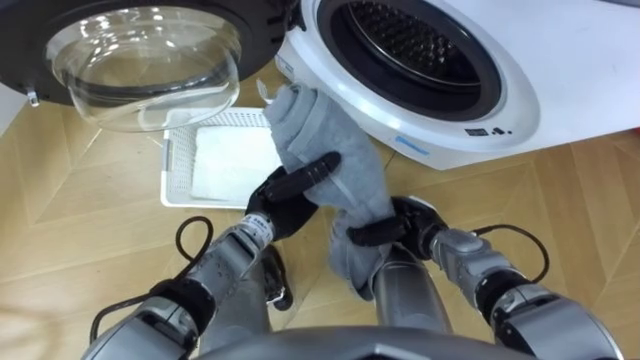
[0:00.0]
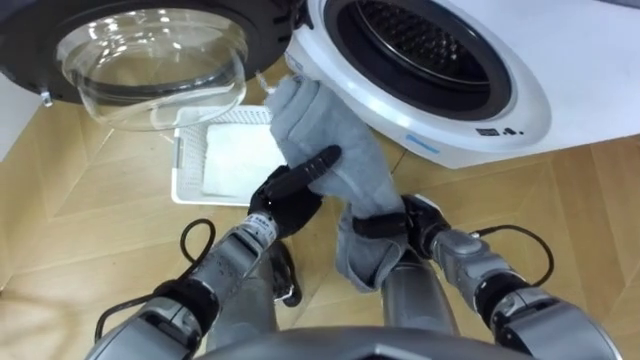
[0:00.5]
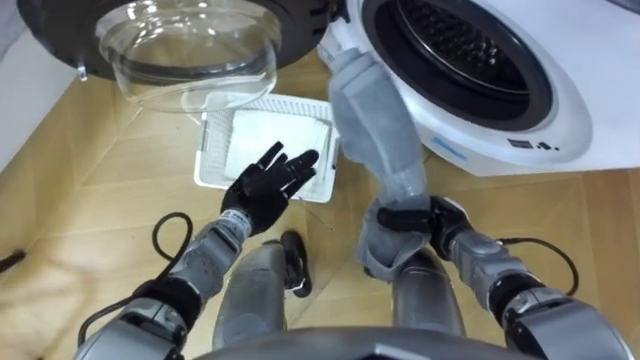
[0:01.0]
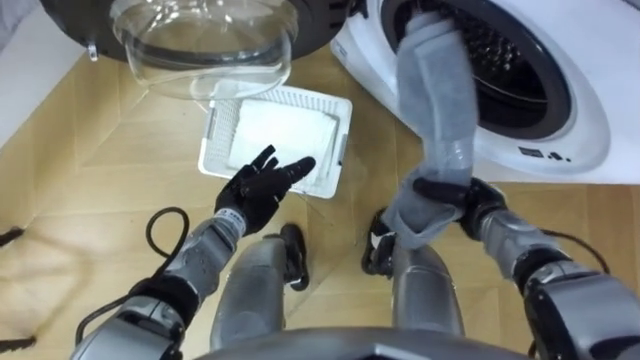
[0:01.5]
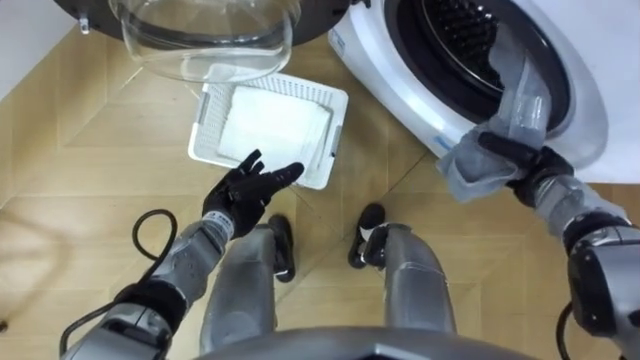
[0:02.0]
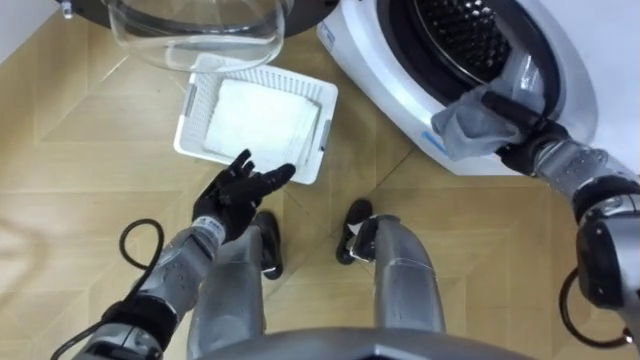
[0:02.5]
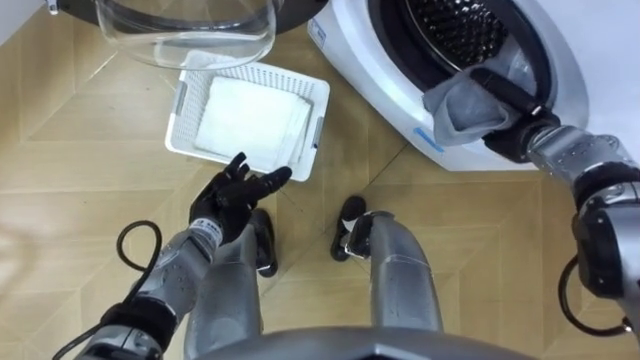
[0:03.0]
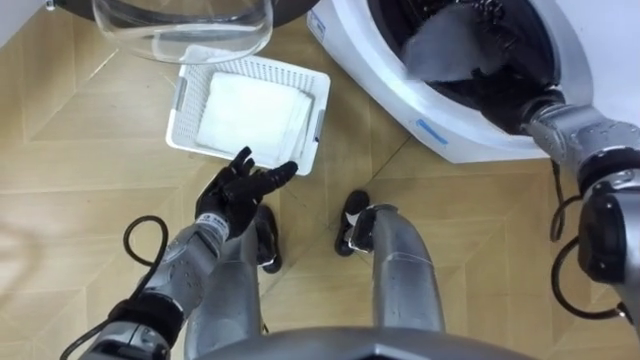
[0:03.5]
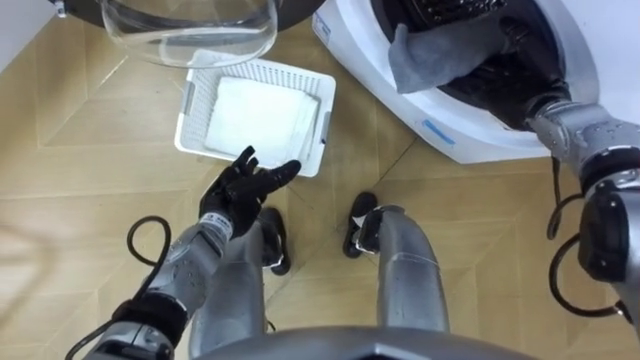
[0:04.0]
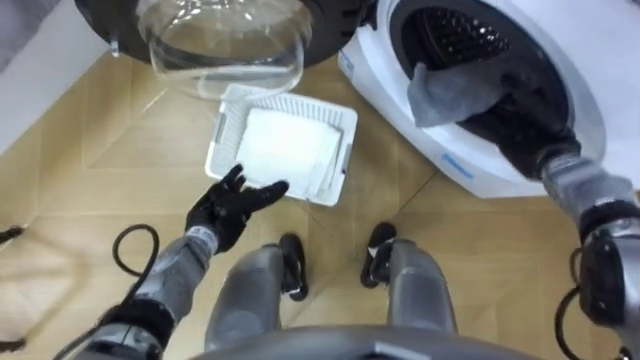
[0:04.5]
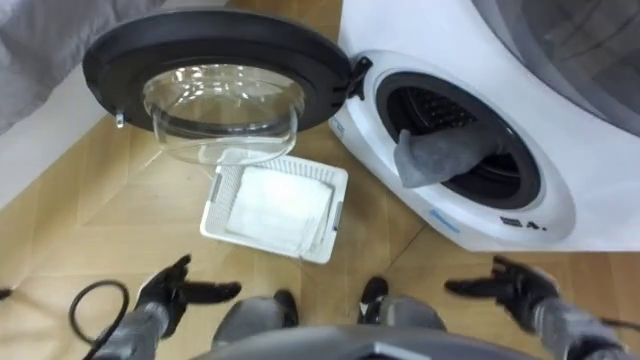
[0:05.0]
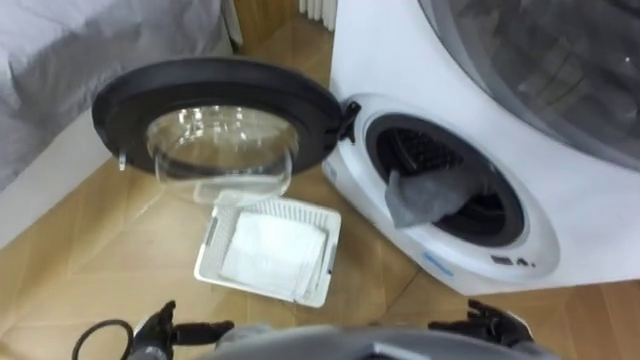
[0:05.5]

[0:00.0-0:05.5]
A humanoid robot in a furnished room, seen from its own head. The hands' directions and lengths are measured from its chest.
Task of the whole recording: Take the towel from the basket and put it into the washing machine.
0:00.0 to 0:02.0: The right hand goes about 20 cm to the right; the left hand heads to the left, covering approximately 10 cm, and opens.
0:02.0 to 0:03.5: The right hand moves forward and upward, about 10 cm, and opens up.
0:03.5 to 0:05.5: The left hand shifts roughly 25 cm backward, to the left and downward. Meanwhile the right hand travels backward and downward by some 35 cm.

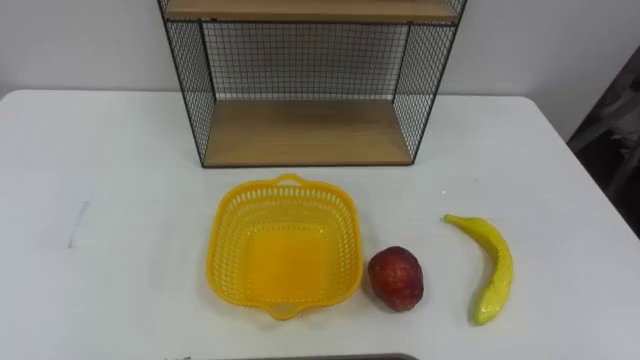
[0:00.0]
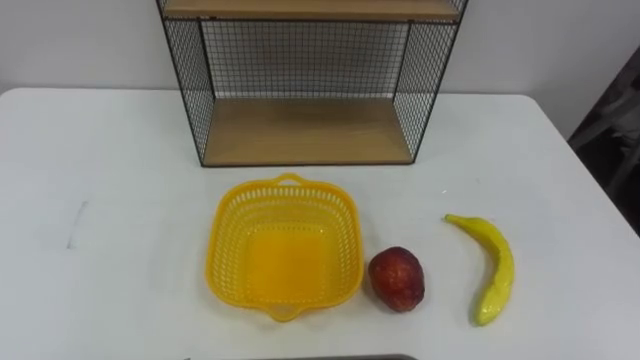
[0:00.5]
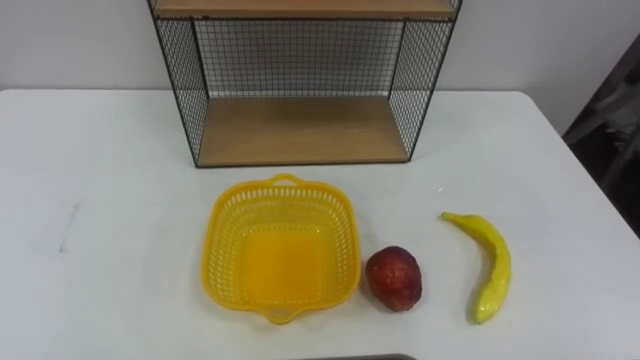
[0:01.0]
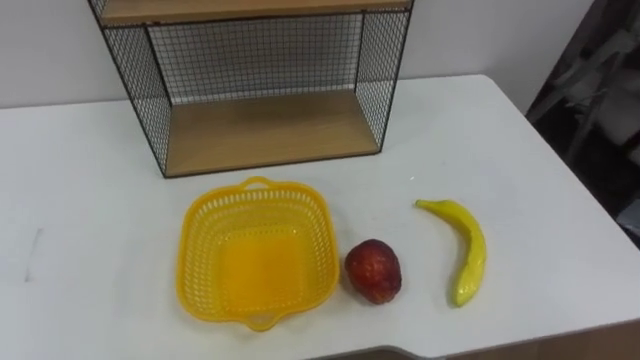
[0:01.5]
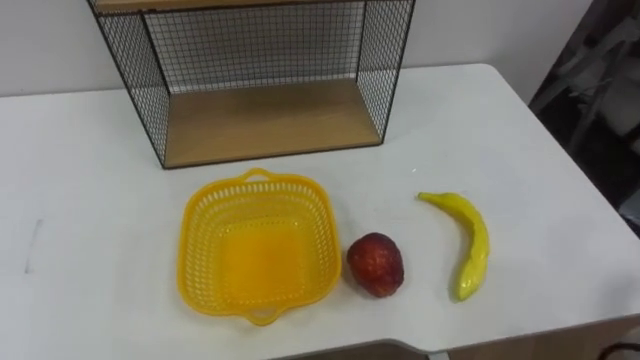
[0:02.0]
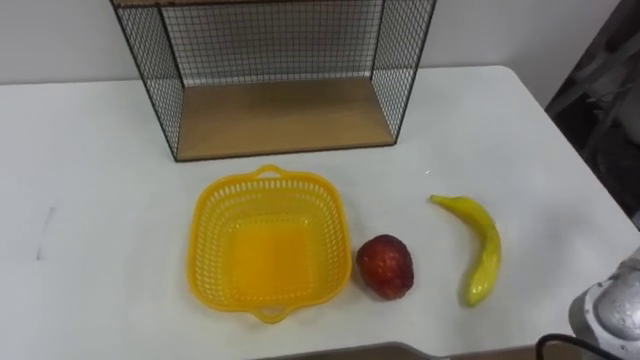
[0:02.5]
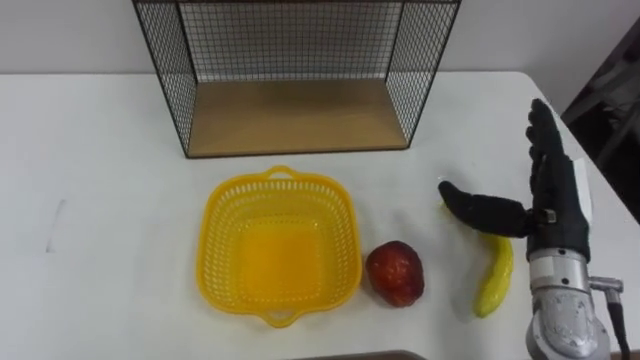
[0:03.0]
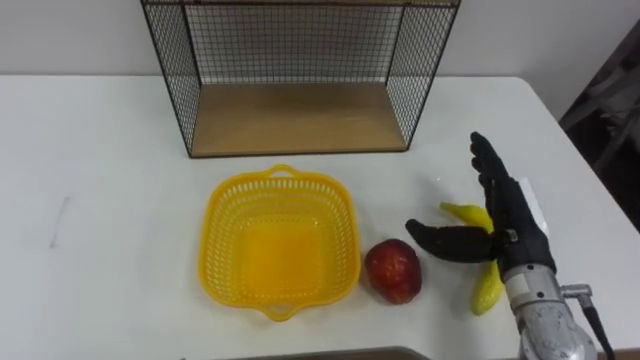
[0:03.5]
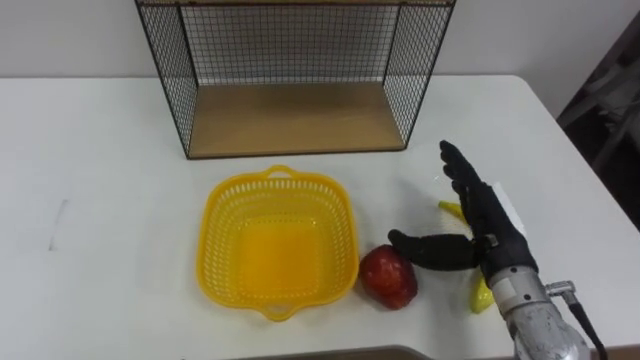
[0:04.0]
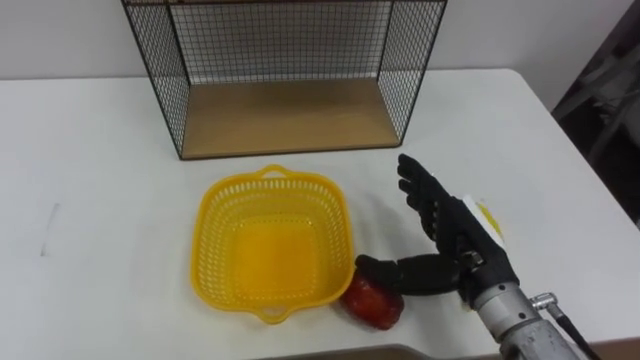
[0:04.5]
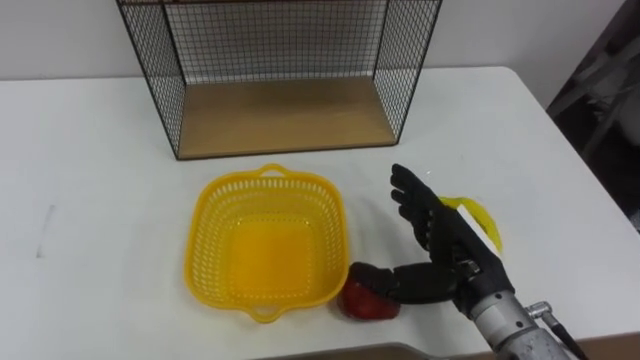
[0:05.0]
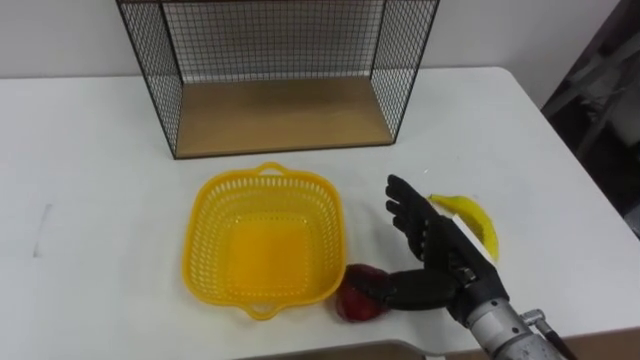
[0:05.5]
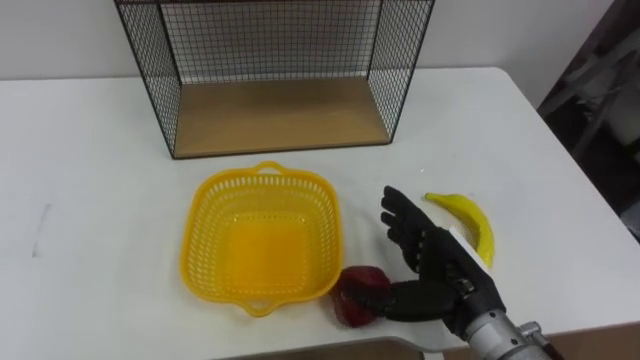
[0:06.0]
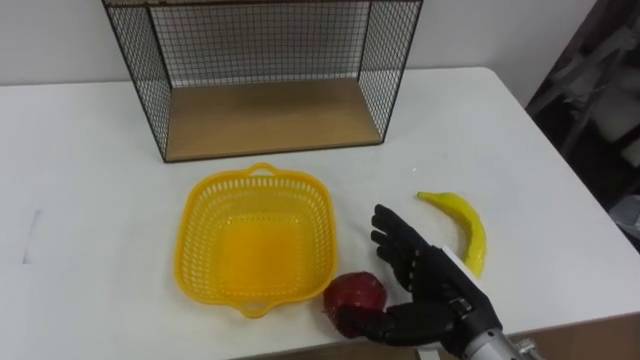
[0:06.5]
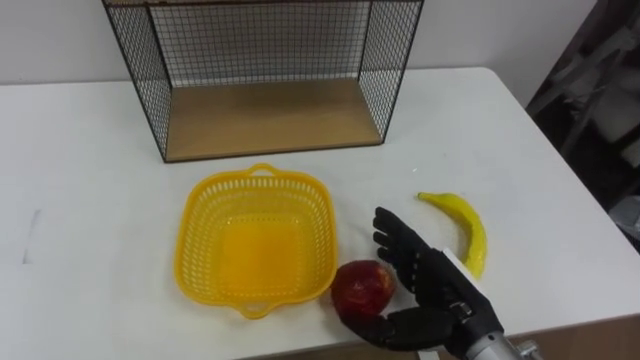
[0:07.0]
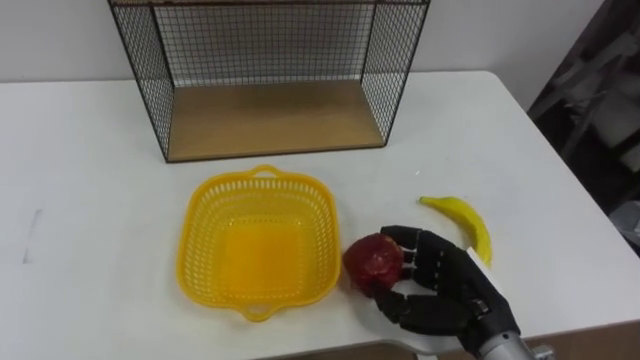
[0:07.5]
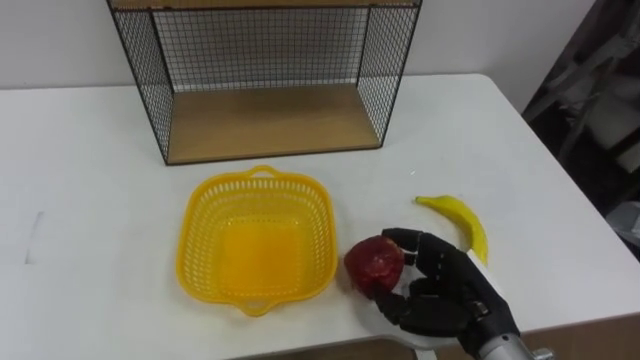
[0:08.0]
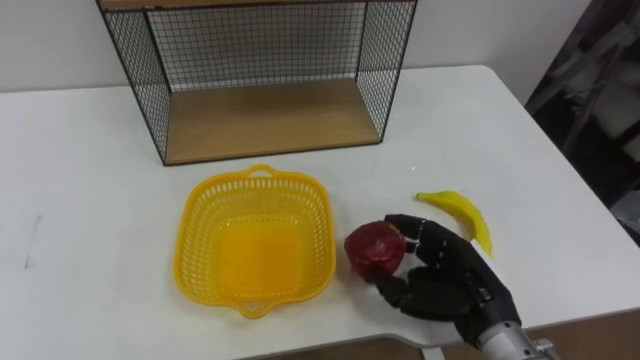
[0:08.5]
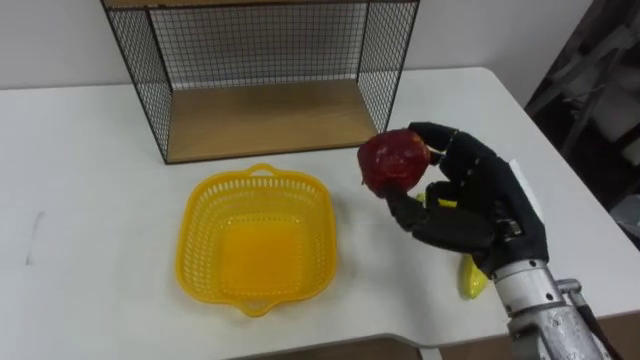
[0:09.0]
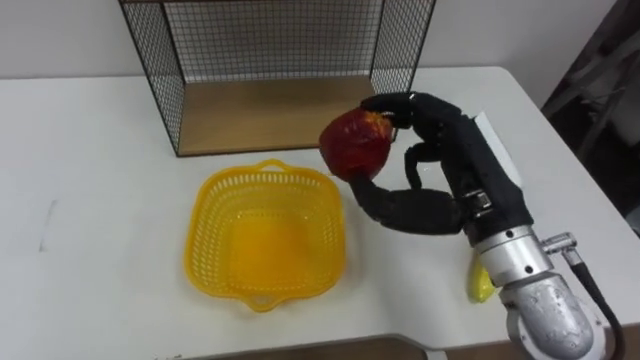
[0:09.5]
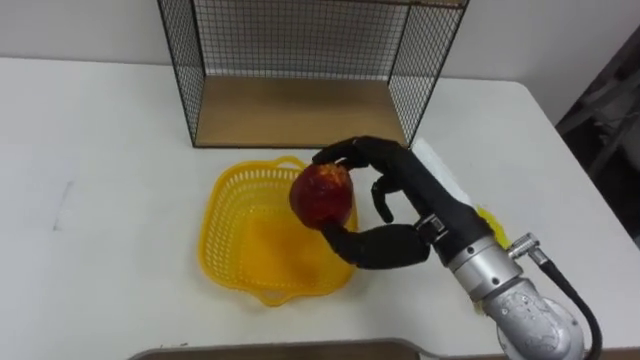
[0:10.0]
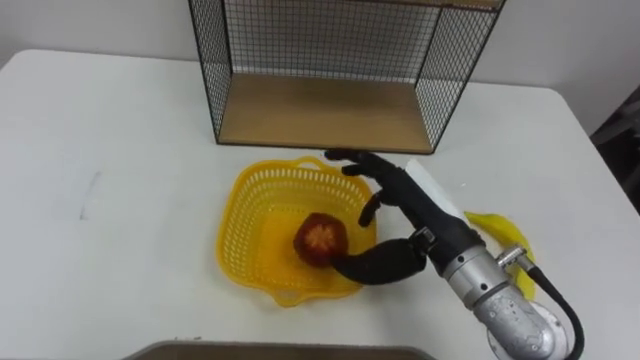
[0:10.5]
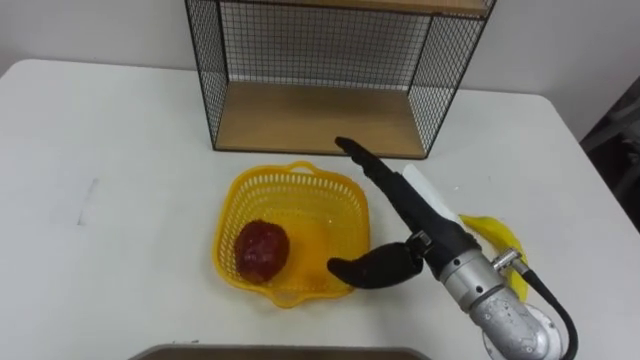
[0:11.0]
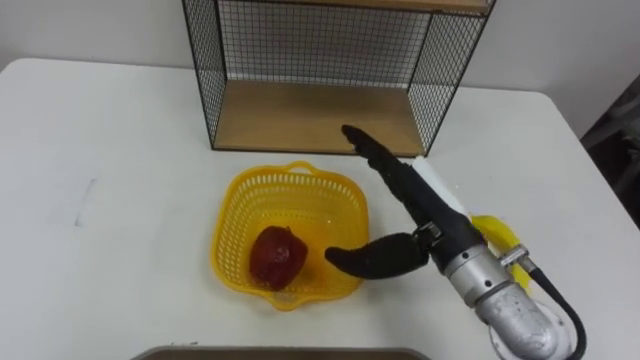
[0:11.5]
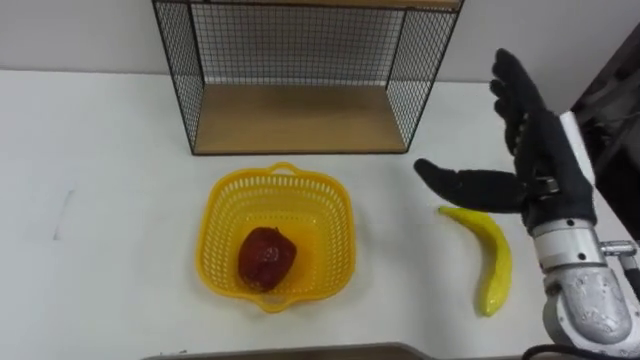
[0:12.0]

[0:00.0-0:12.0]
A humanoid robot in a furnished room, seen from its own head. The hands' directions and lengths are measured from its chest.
Task of the whole recording: Put the fruit on the table into the basket, then place the basket on the shelf.
0:04.0 to 0:06.0: The right hand shifts by approximately 5 cm.
0:06.0 to 0:08.0: The right hand closes.
0:08.0 to 0:10.0: The right hand shifts some 15 cm upward and to the left.
0:10.0 to 0:12.0: The right hand shifts about 10 cm to the right, and opens its fingers.

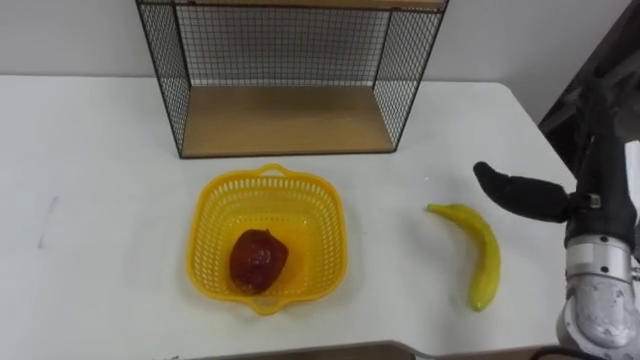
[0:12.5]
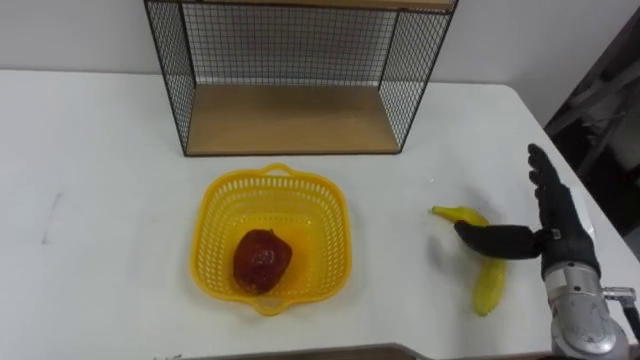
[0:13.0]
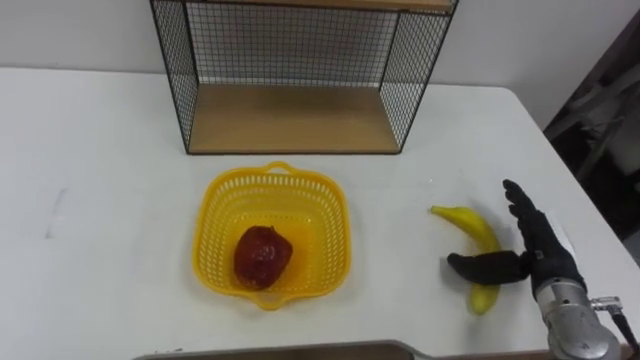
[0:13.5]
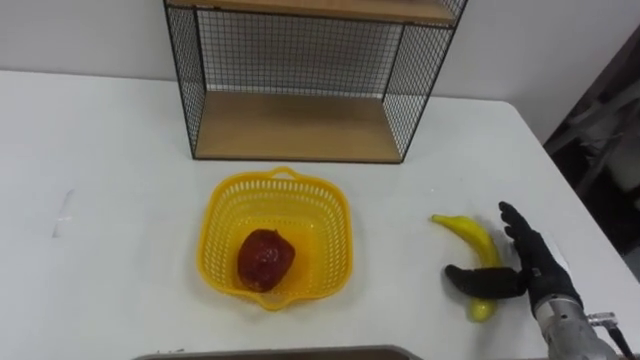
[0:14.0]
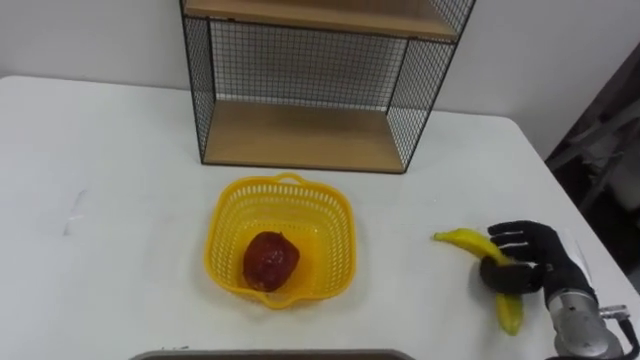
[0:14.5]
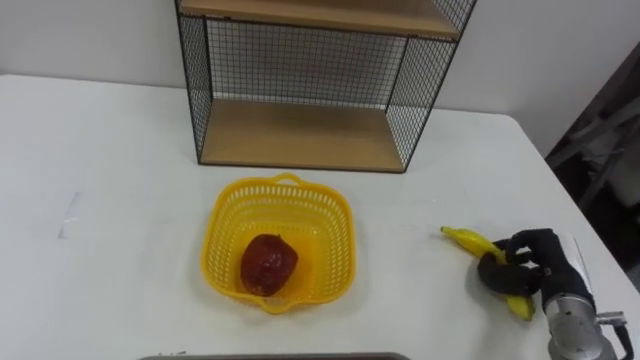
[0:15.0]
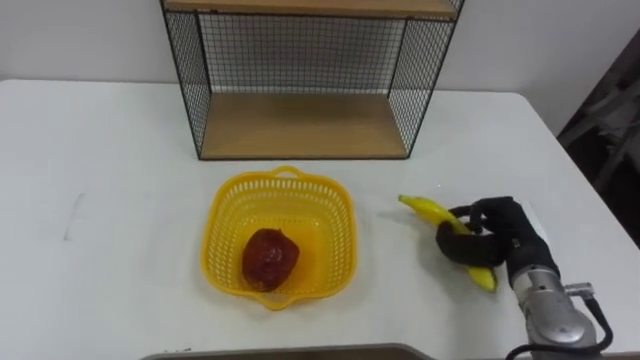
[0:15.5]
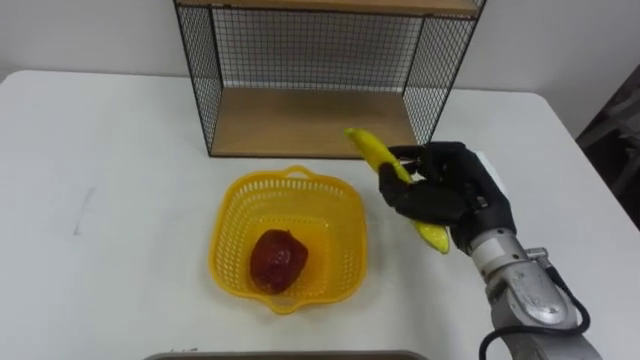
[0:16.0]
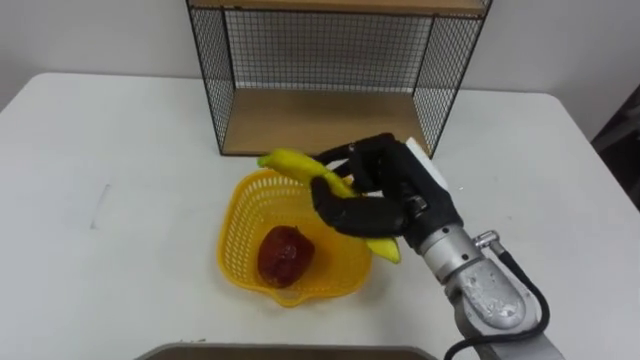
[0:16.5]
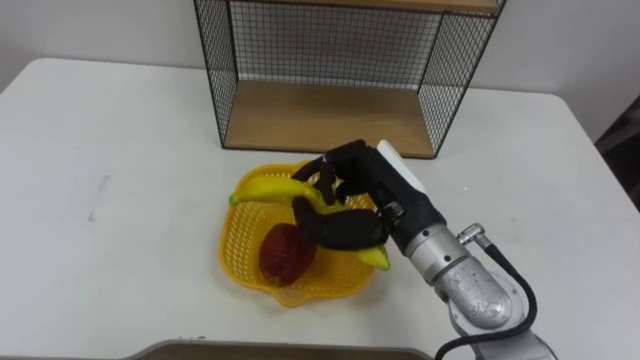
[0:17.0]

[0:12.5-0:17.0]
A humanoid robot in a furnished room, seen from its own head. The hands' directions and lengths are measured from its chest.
Task of the whole recording: Put the fruit on the table into the basket, then place the basket on the shelf.
0:12.5 to 0:14.5: The right hand shifts approximately 15 cm downward, and closes.
0:14.5 to 0:17.0: The right hand travels to the left and upward by roughly 30 cm.
